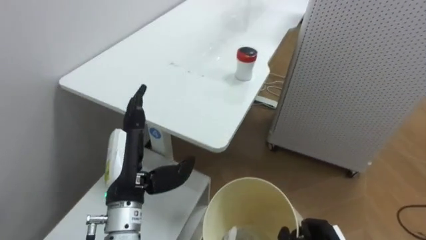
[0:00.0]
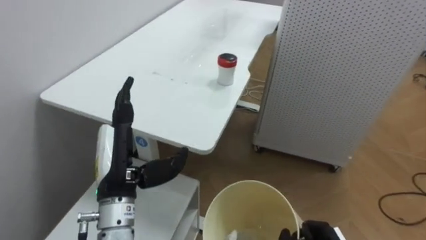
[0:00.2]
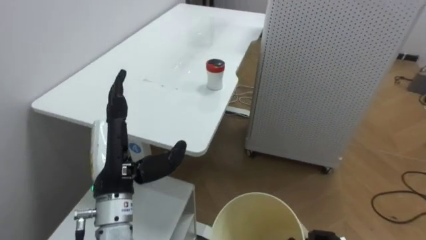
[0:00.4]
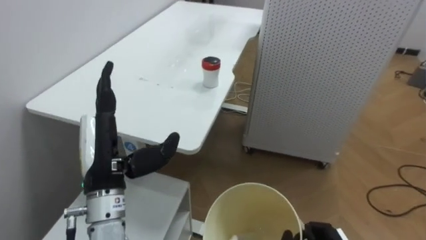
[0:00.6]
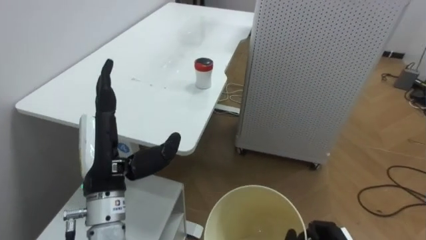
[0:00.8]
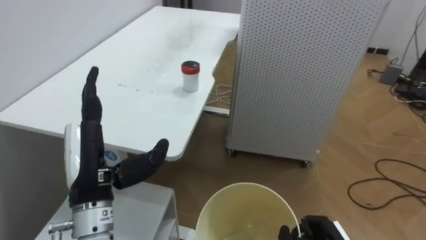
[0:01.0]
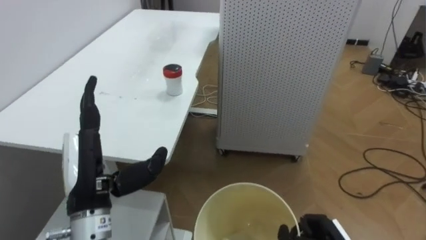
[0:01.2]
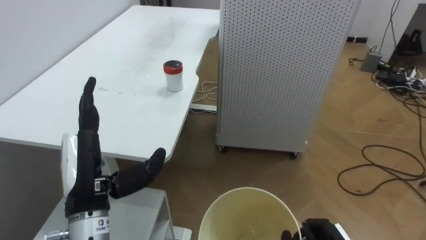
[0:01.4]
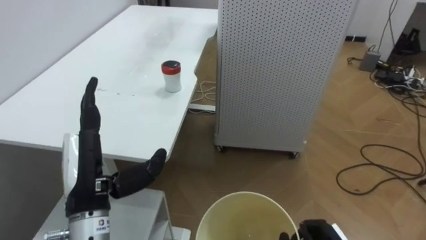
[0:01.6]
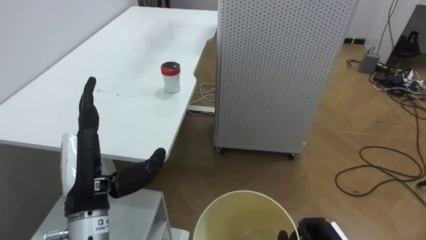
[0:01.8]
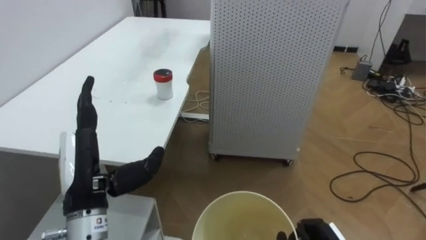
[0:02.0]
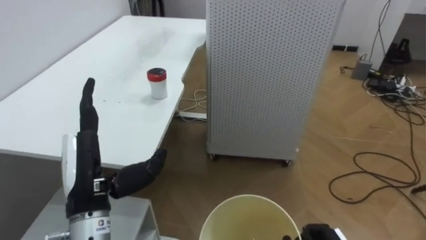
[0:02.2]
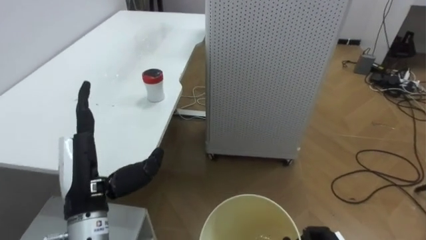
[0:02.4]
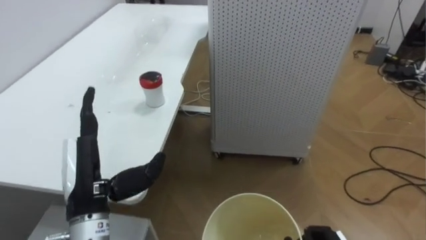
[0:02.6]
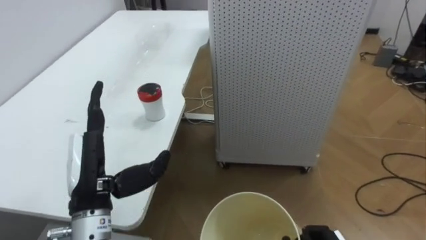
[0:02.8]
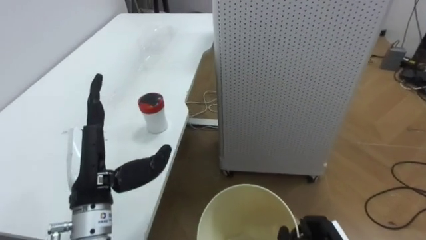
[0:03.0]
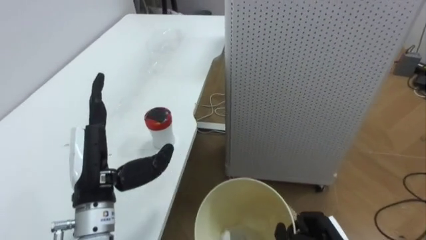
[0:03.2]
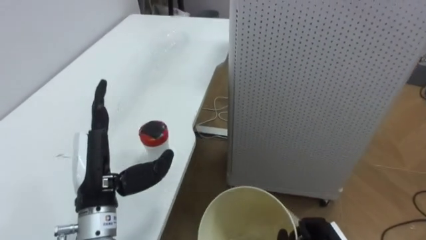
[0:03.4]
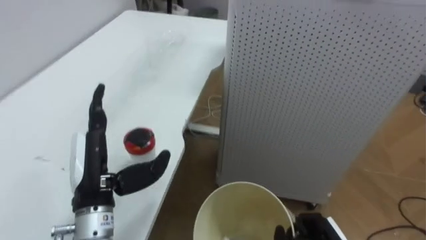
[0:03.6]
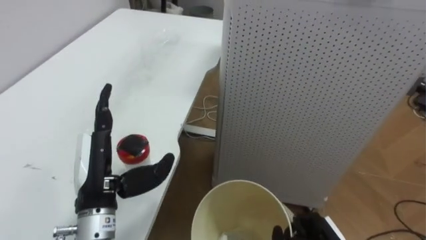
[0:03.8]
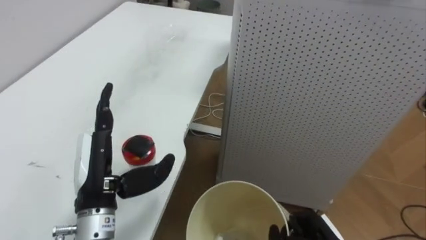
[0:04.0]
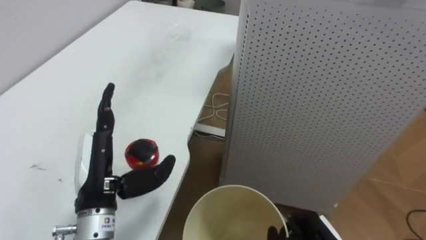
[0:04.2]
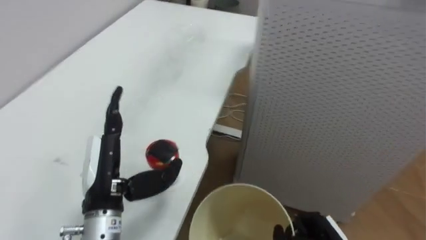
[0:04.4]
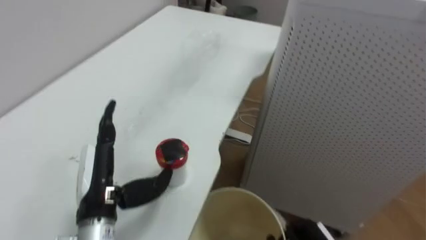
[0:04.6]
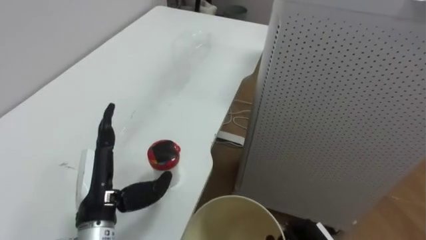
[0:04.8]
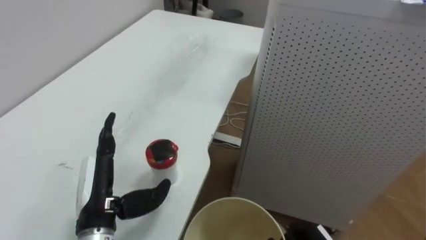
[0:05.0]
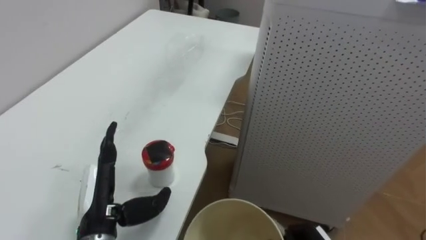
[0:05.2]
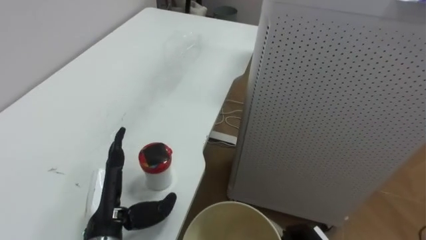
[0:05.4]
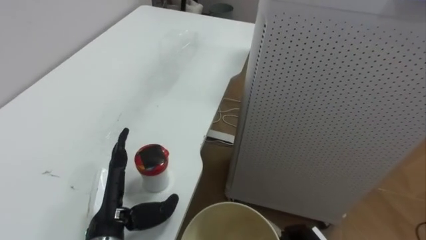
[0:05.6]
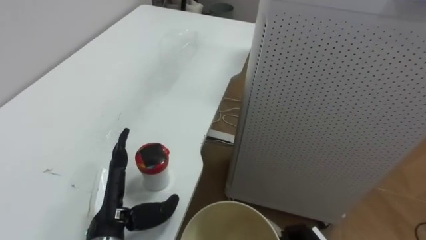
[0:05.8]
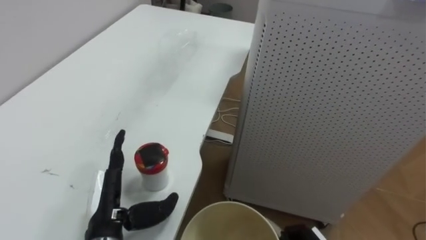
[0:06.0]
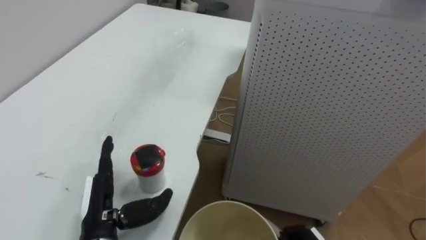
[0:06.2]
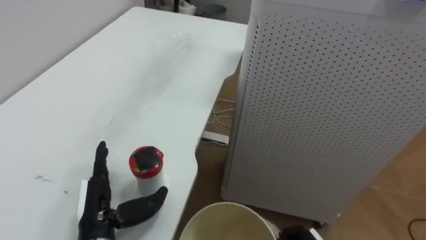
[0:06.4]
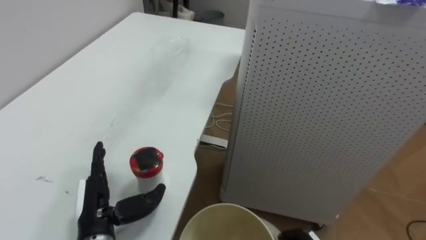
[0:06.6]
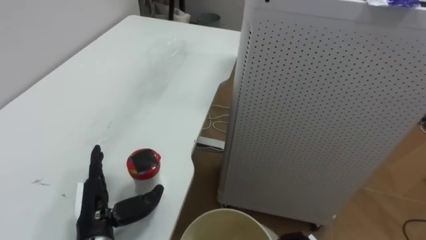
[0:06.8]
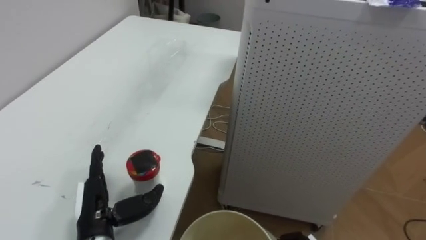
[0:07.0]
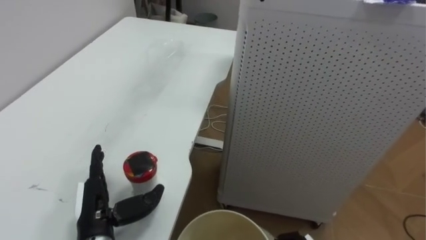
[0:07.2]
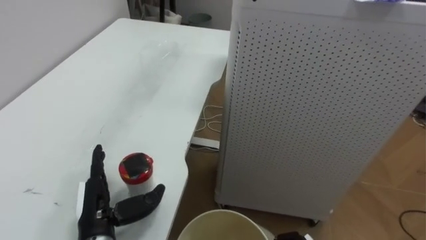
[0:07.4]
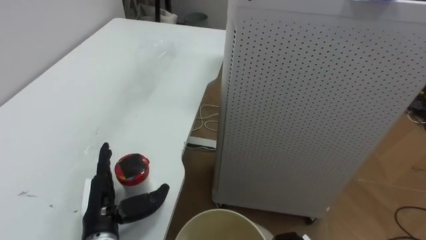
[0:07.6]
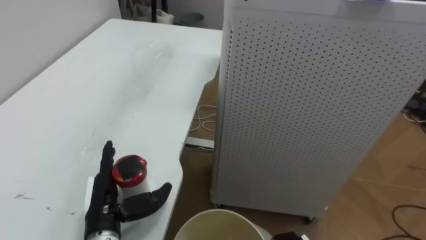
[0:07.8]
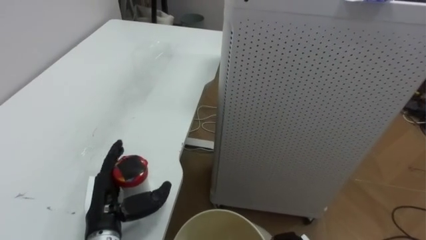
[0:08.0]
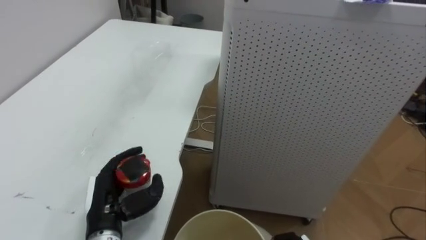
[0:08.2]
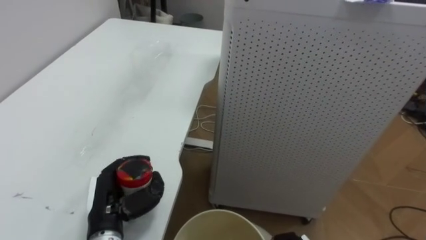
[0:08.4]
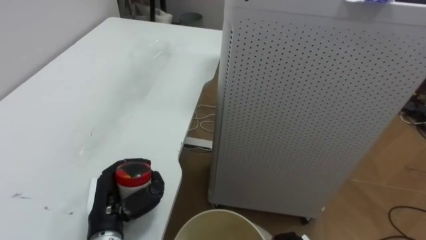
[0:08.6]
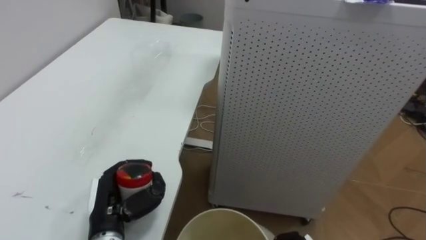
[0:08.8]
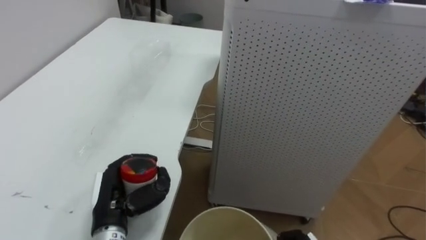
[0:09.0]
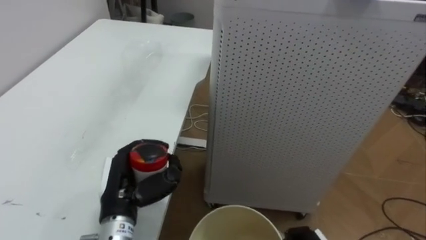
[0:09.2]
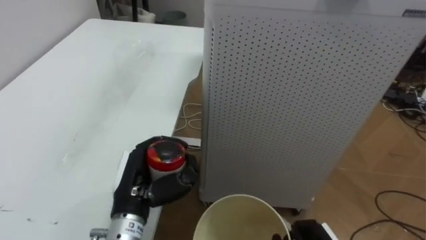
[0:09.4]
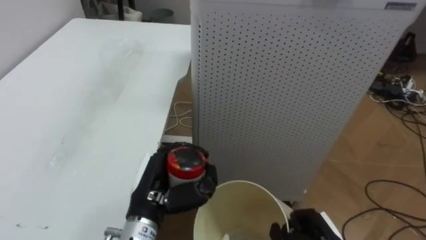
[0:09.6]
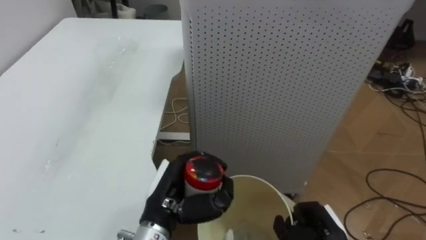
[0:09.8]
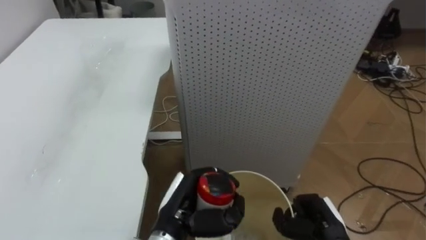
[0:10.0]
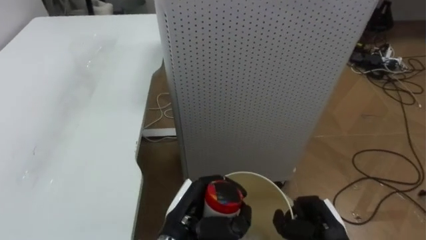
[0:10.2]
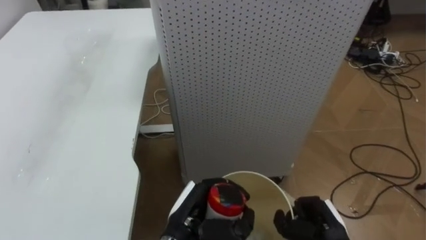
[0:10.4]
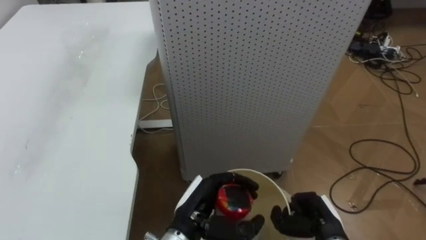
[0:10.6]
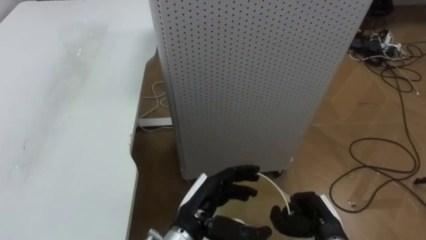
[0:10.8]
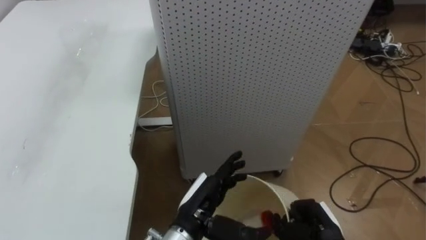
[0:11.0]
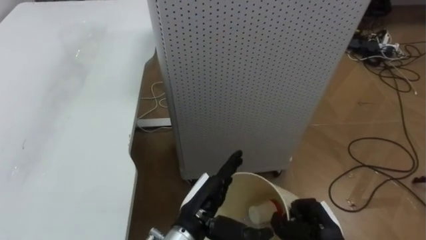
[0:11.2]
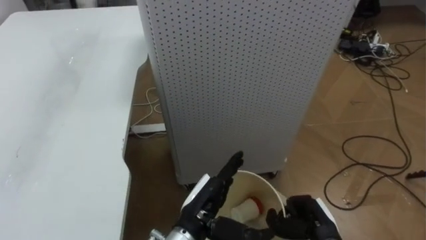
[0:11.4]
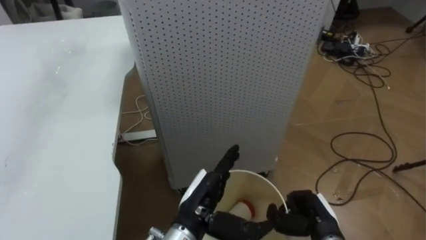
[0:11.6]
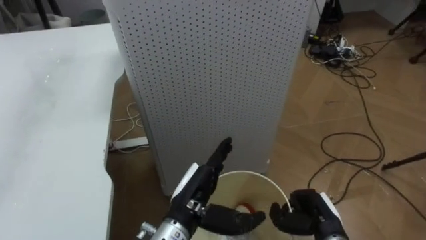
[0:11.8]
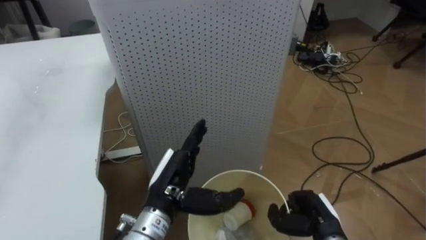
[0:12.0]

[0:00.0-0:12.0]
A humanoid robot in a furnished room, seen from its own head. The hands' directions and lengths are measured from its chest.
Task of the whole recording: Pick up the light blue package, the candy box, and the dark blue package separately, and put them into the trash can held in your right hand.
0:00.0 to 0:01.6: The robot's body swings about 20 degrees to its right. The left hand changes place by about 5 cm.
0:04.4 to 0:06.0: The left hand is displaced downward by some 5 cm.
0:07.6 to 0:09.0: The left hand closes up.
0:09.0 to 0:10.4: The left hand goes some 15 cm to the right.
0:10.4 to 0:12.0: The left hand shifts by some 5 cm, and opens its fingers.

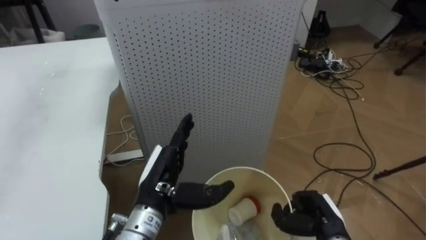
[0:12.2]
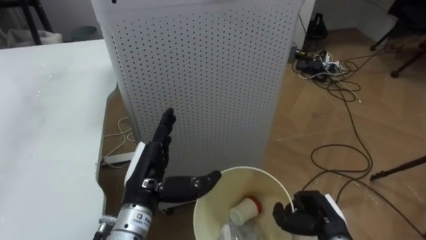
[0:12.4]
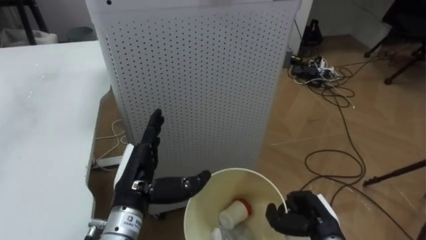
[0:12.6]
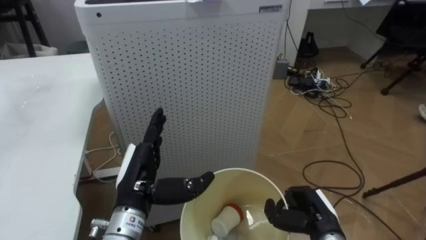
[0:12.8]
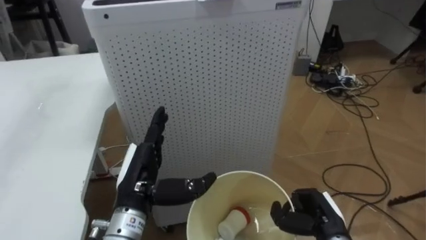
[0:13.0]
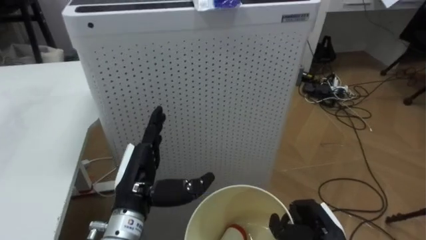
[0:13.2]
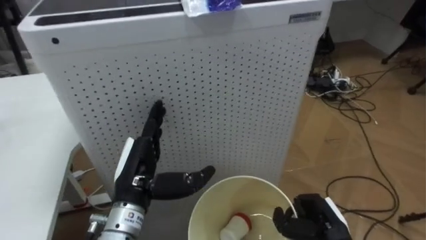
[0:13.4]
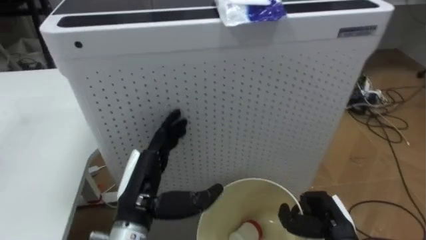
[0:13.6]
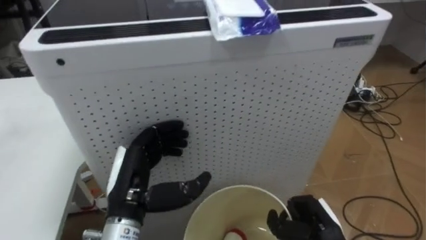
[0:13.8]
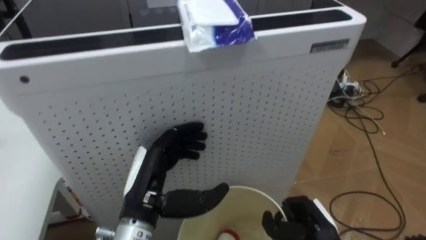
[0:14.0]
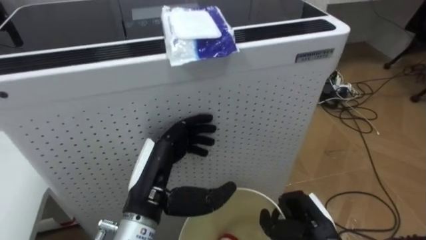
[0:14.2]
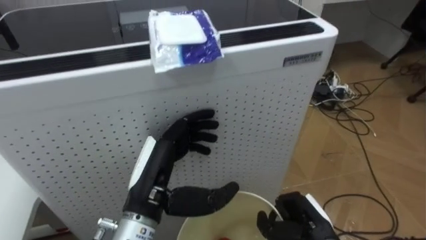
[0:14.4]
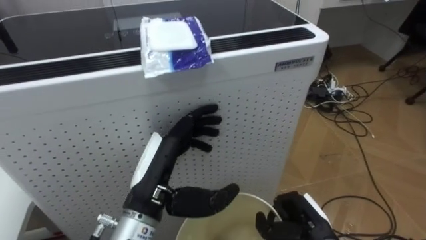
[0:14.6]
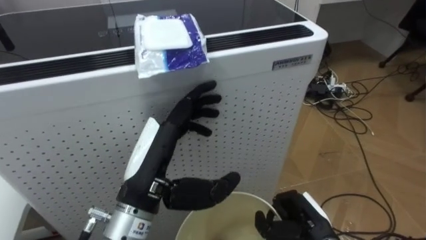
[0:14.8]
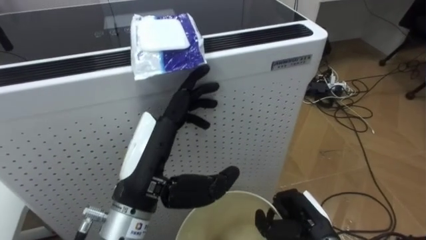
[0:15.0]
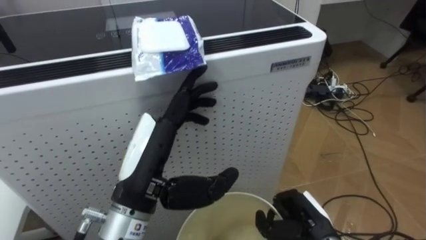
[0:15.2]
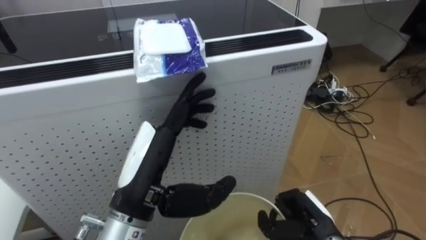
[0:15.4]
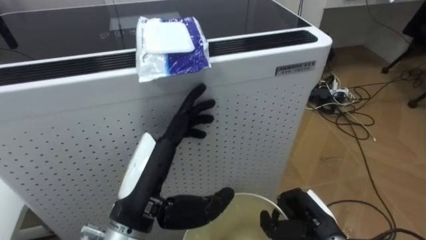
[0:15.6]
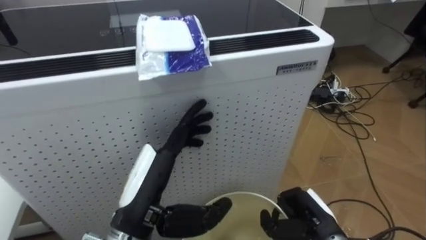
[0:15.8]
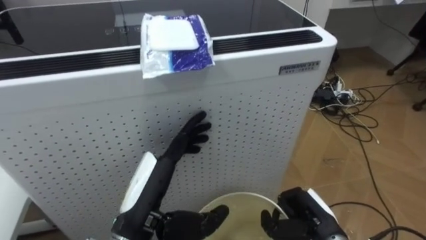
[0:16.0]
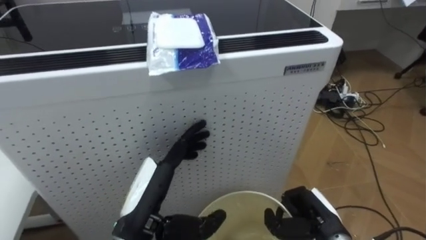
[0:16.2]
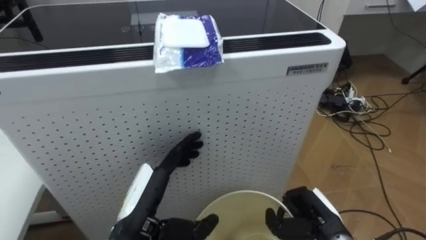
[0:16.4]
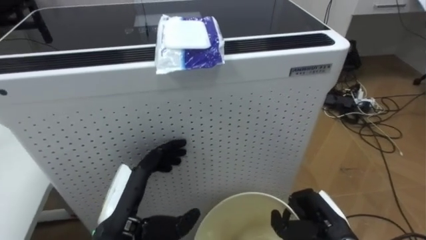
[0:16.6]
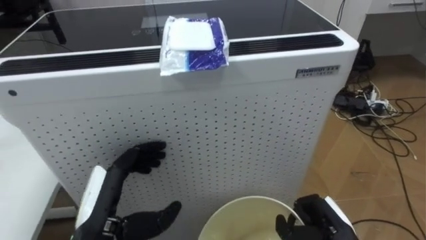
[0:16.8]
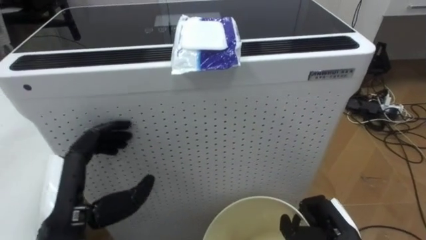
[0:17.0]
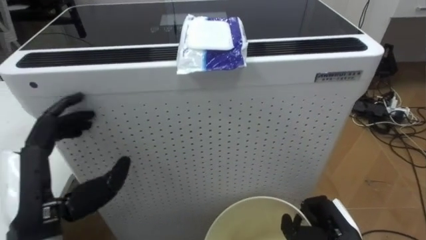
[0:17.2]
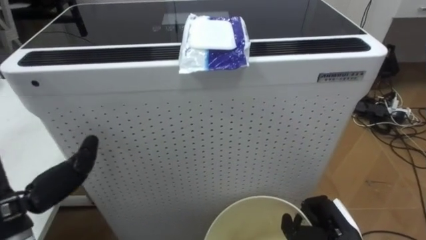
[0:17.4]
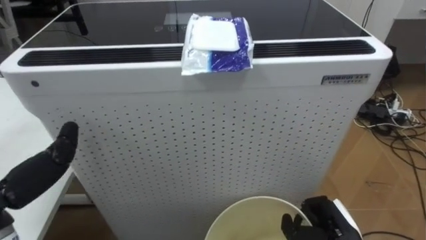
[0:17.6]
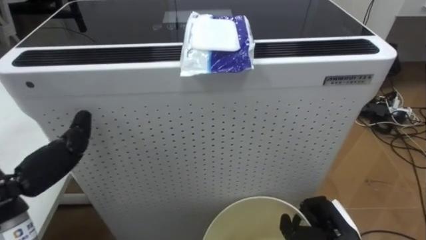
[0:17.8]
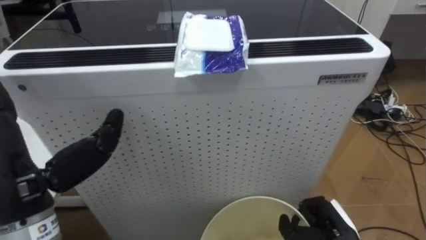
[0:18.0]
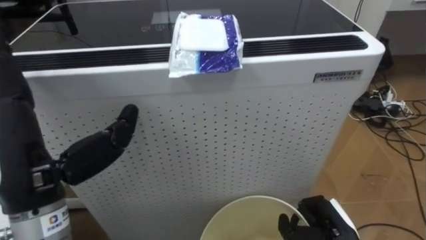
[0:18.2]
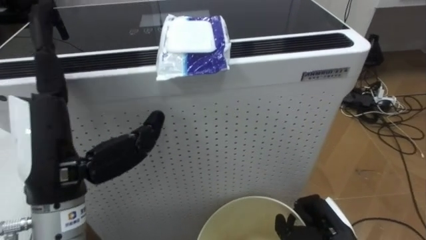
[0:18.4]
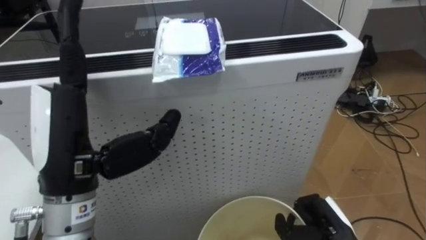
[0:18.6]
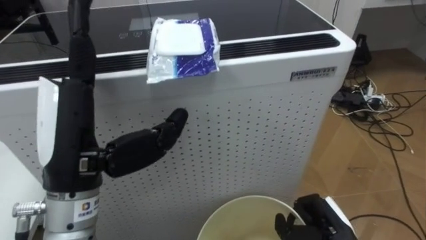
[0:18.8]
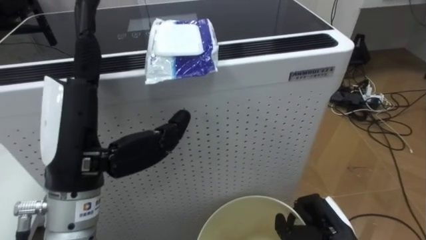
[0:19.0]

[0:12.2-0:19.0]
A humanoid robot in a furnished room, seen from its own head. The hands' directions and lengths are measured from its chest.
Task of the whole recording: Pick up the light blue package, the candy box, and the dark blue package separately, and put them into the trash can held in your right hand.
0:13.6 to 0:15.0: The left hand goes about 10 cm upward.
0:15.0 to 0:16.2: The left hand moves downward, about 10 cm.
